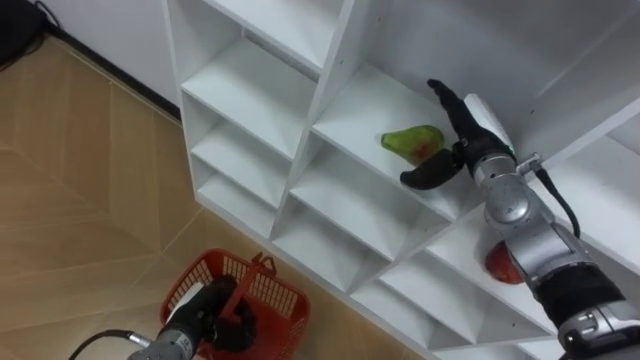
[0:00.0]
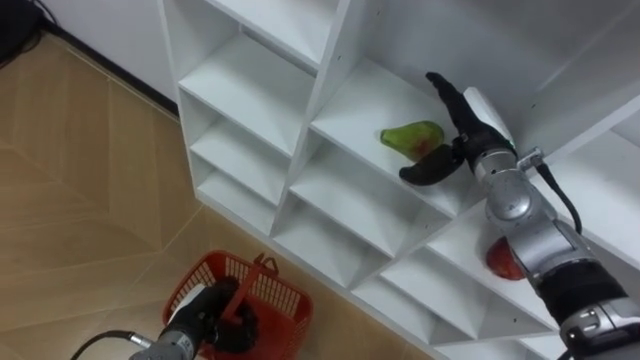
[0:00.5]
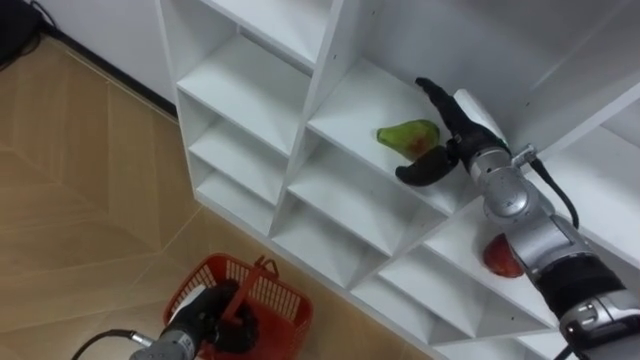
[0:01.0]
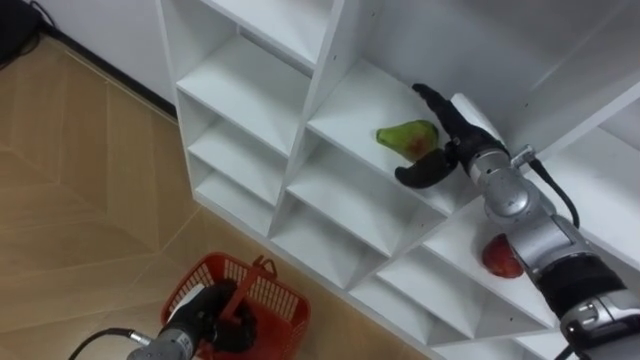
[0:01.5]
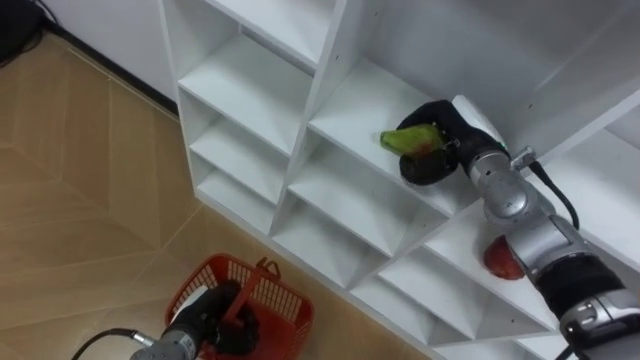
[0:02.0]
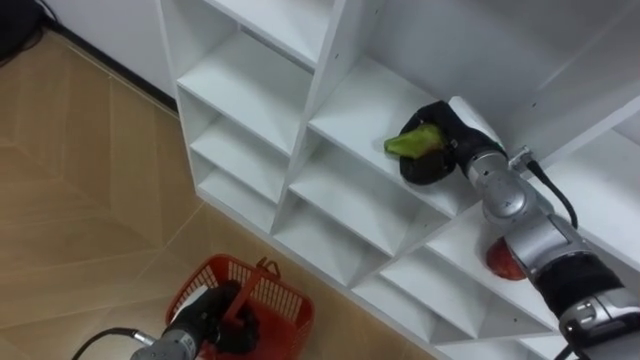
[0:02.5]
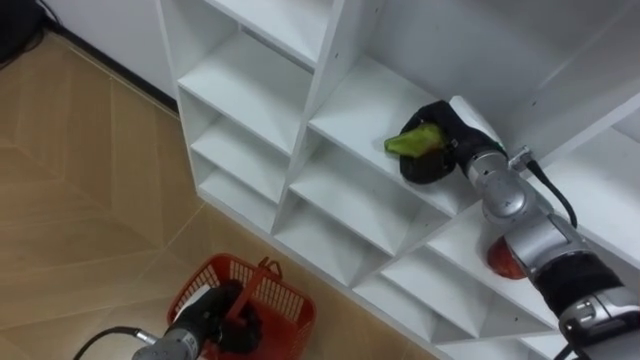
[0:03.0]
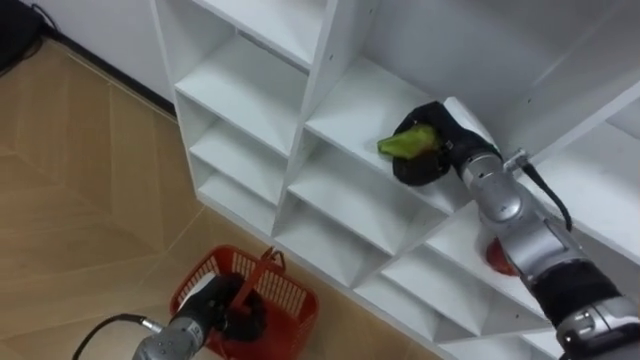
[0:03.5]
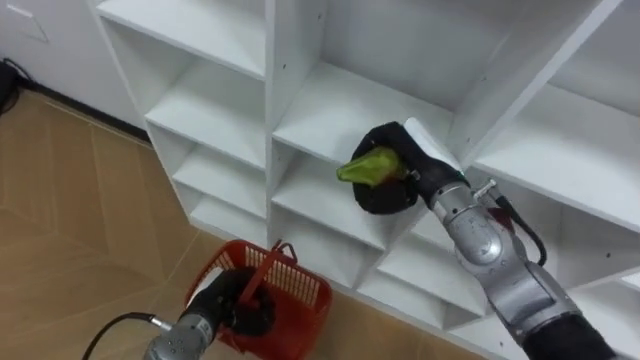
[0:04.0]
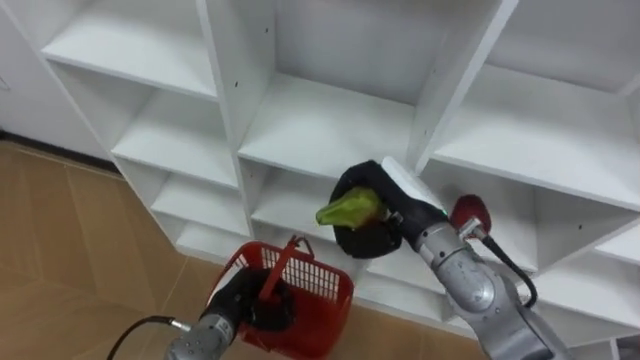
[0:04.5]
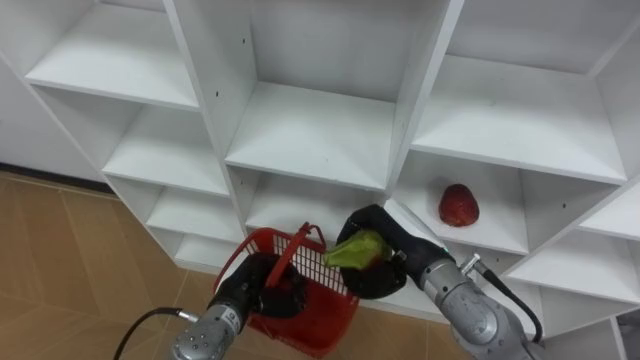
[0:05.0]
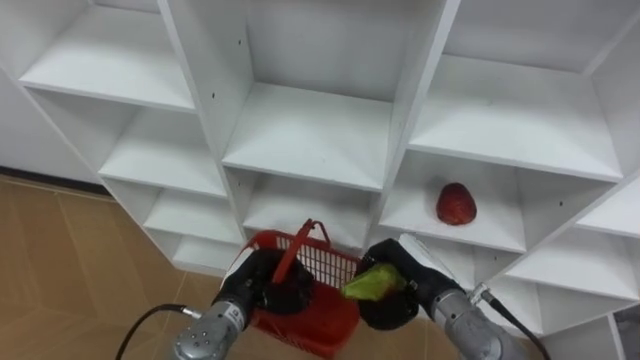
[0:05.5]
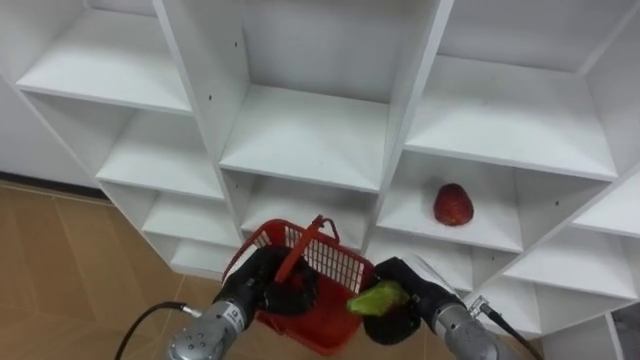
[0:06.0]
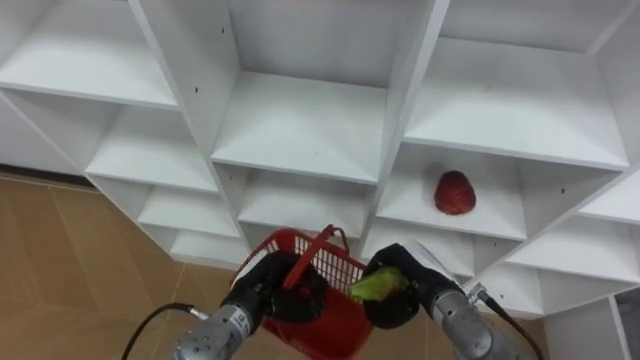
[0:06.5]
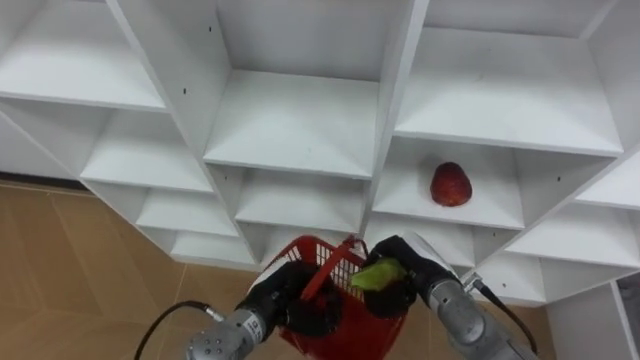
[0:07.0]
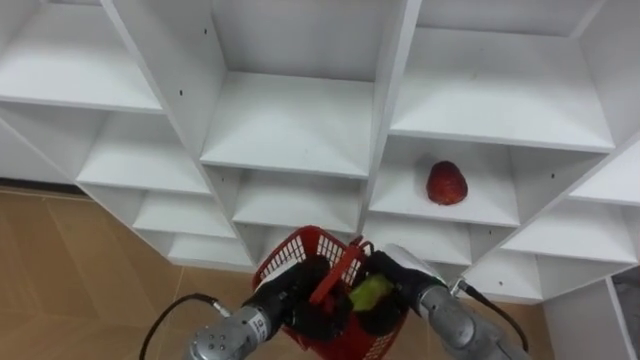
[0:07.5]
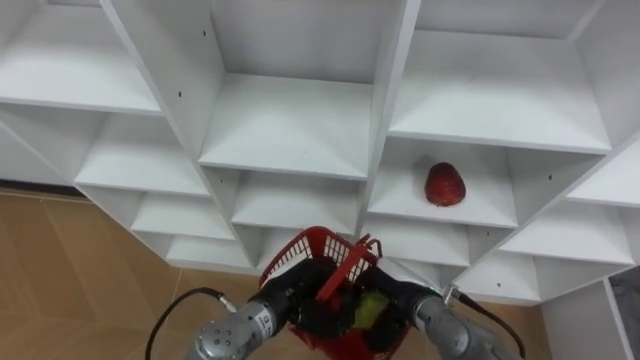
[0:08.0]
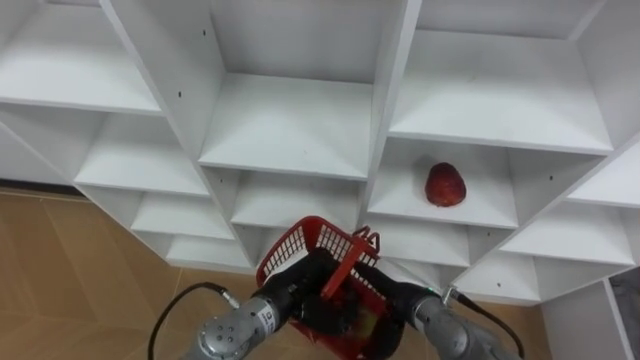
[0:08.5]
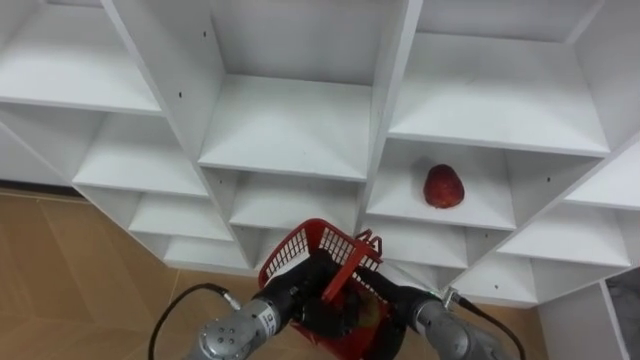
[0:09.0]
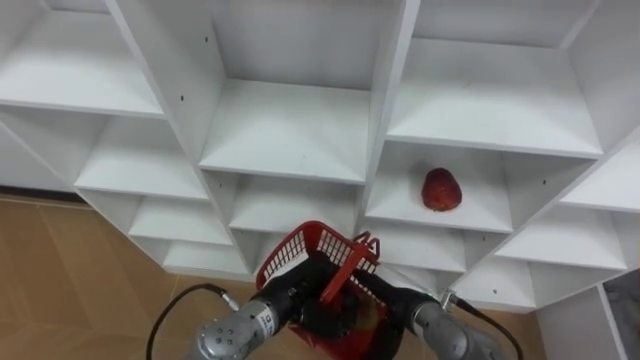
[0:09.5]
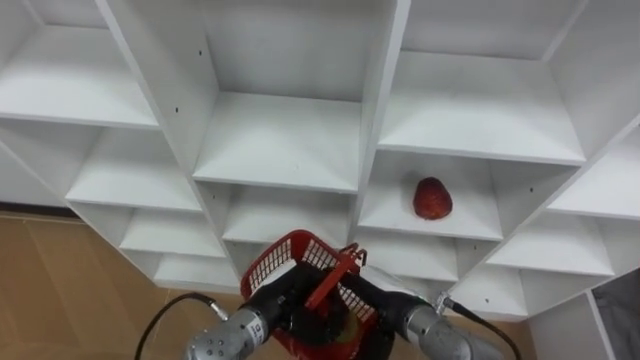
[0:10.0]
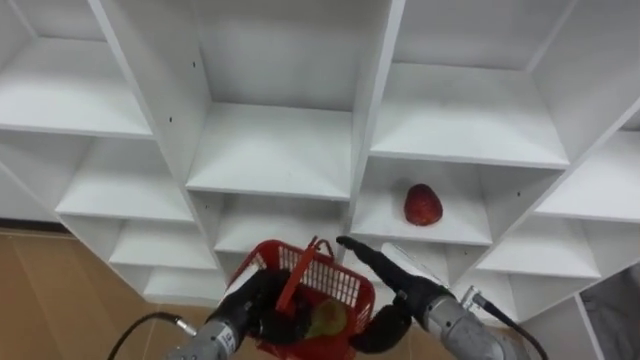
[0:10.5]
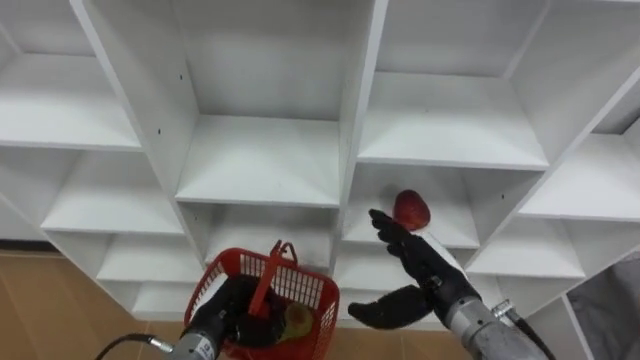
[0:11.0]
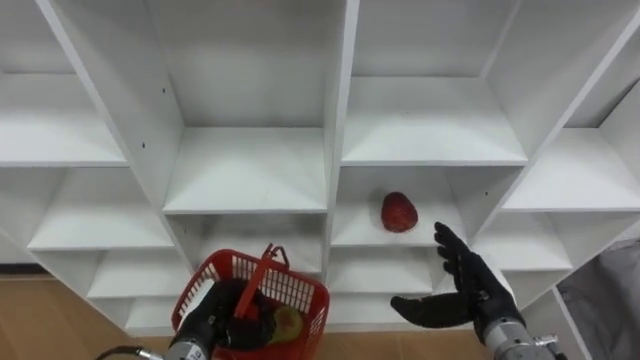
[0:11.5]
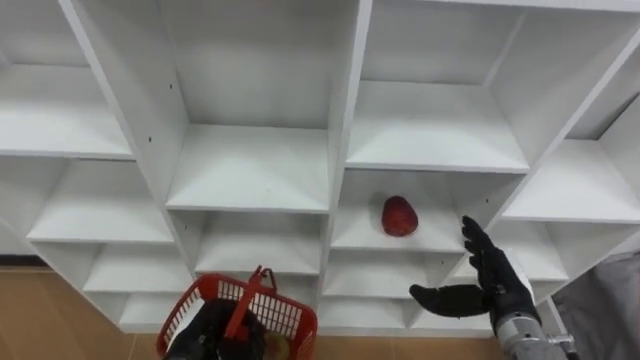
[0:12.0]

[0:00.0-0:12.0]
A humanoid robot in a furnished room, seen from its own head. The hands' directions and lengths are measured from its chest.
Task of the whole recording: Hold the basket and collect the fruits from 3 different cells of the closet into it.
0:00.0 to 0:02.0: The right hand closes its fingers.
0:02.0 to 0:04.0: The right hand goes about 5 cm to the left.
0:04.0 to 0:06.0: The left hand shifts some 5 cm to the right, while the right hand moves downward and backward, roughly 20 cm.
0:06.0 to 0:08.0: The left hand goes about 5 cm to the right.
0:08.0 to 0:10.0: The right hand opens.
0:10.0 to 0:12.0: The left hand is displaced to the left by approximately 10 cm. The right hand travels to the right by approximately 15 cm.

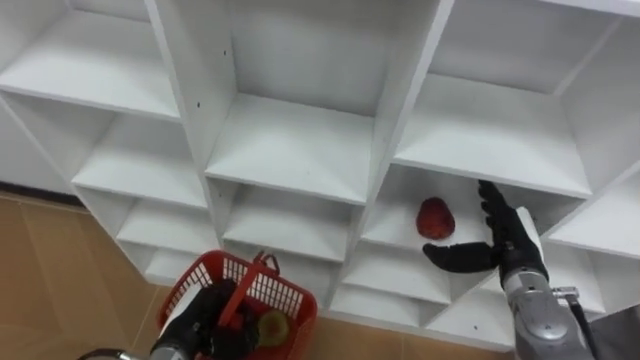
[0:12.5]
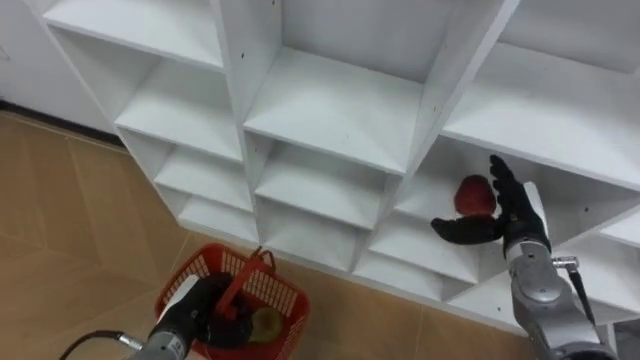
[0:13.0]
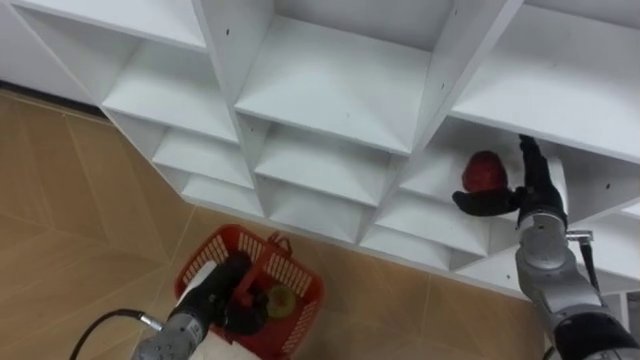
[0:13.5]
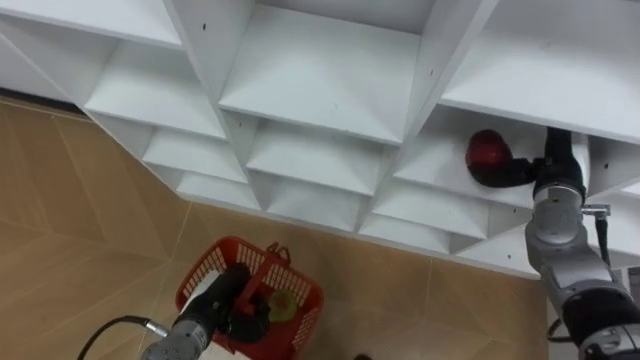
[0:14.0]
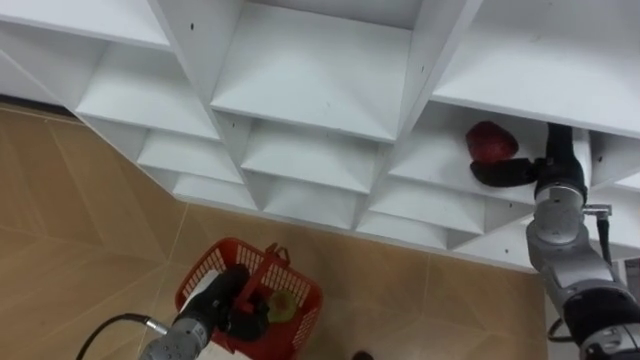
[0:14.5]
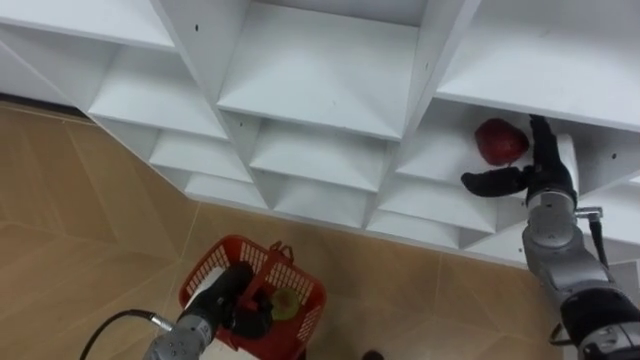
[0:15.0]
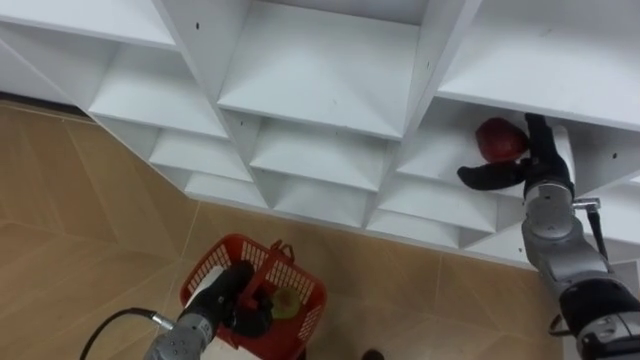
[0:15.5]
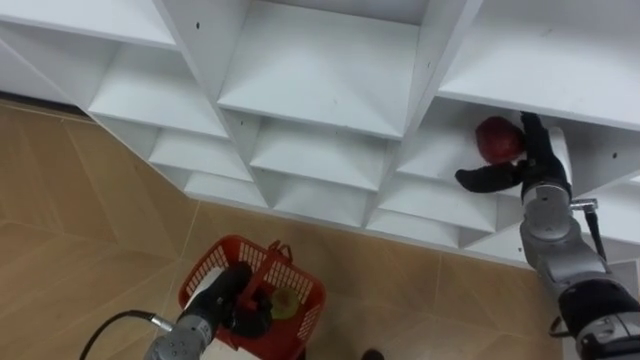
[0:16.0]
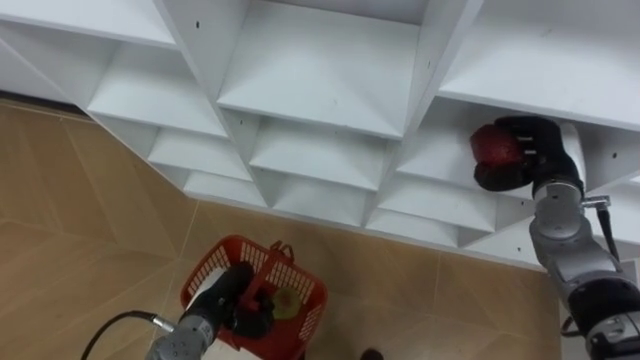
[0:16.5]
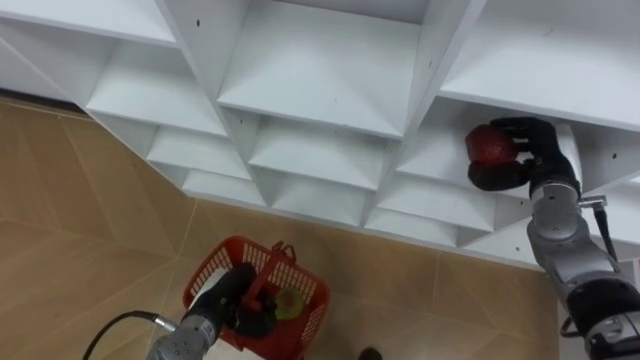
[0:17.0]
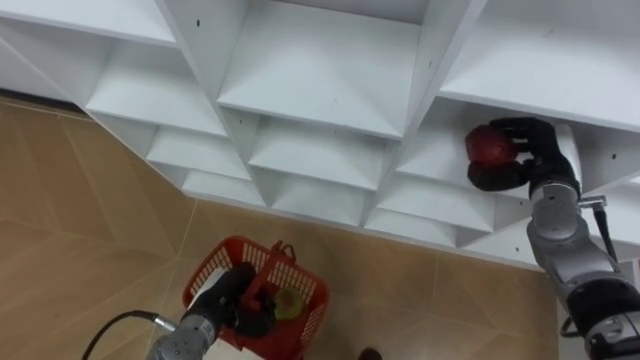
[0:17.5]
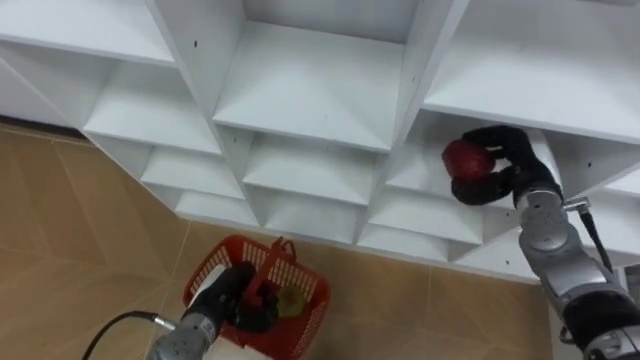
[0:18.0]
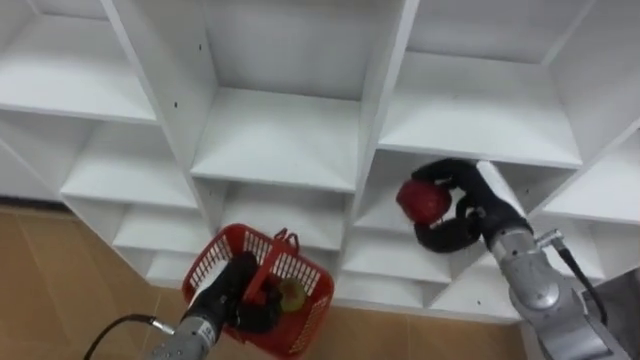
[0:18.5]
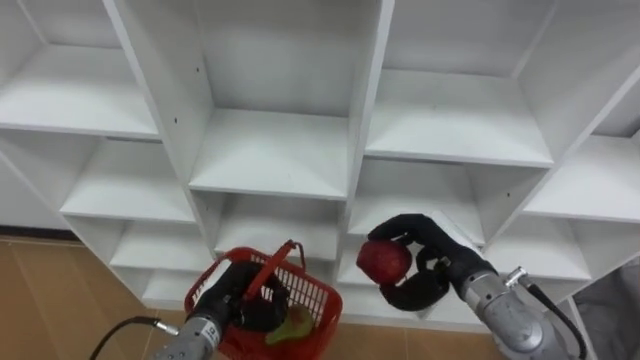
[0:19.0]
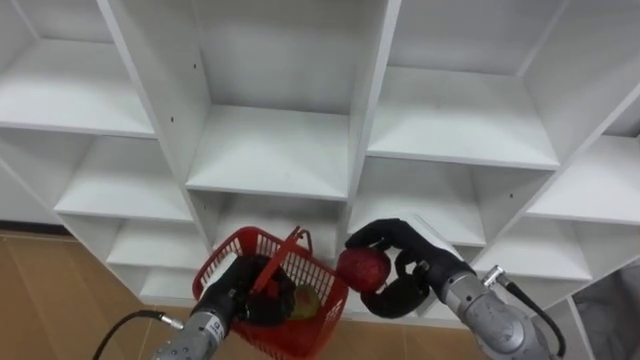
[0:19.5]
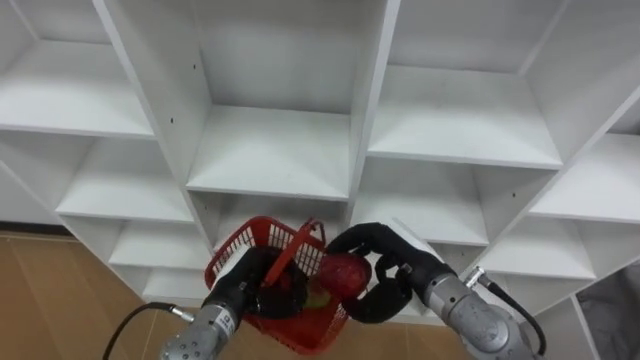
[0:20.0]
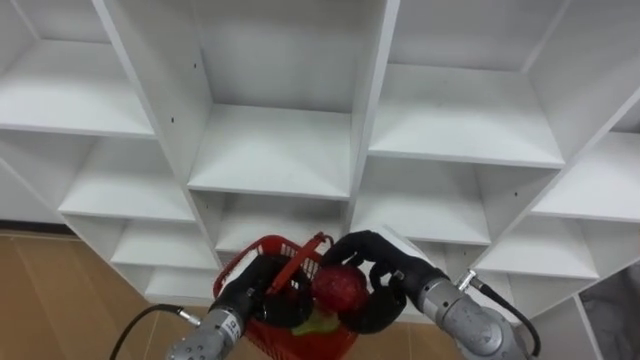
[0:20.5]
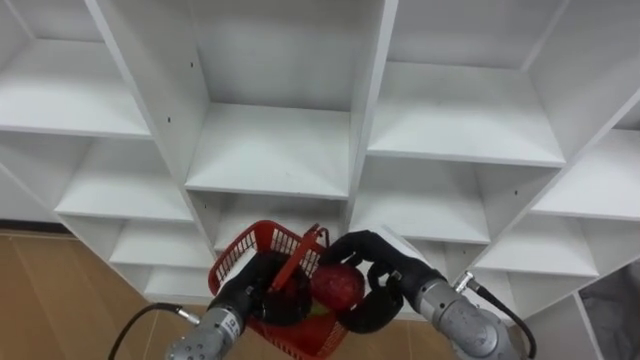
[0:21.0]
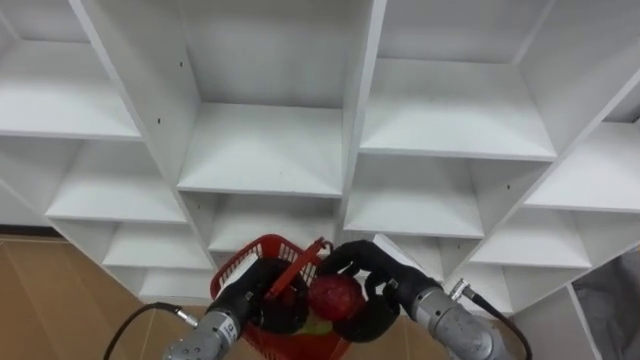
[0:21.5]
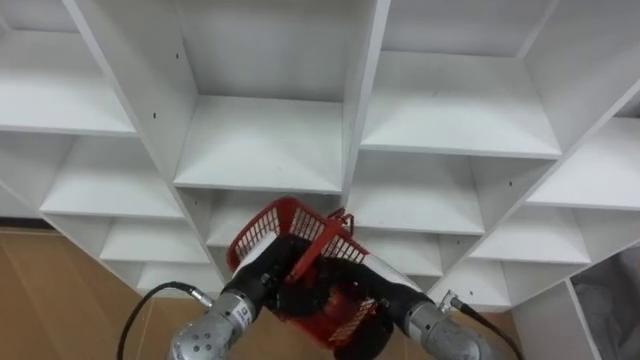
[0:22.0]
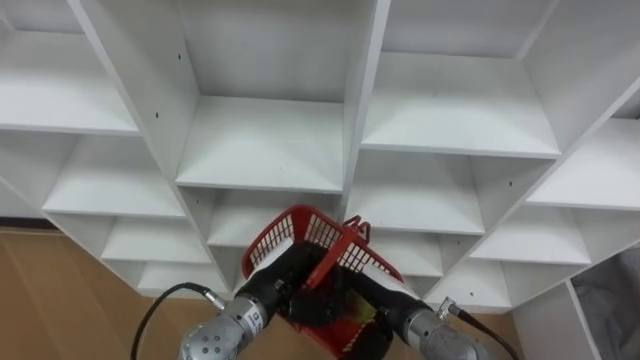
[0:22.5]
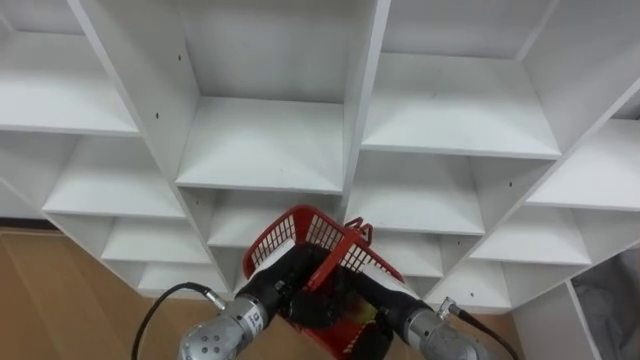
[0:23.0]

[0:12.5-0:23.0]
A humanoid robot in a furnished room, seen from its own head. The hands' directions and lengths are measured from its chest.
Task of the whole recording: Hold the basket and collect the fruits from 3 different cells of the closet into it.
0:12.5 to 0:14.5: The right hand travels forward, upward and to the right by roughly 10 cm.
0:14.5 to 0:16.5: The right hand closes up.
0:16.5 to 0:19.0: The right hand is displaced to the left, backward and downward by roughly 15 cm.
0:19.0 to 0:21.0: The right hand goes about 5 cm to the left.
0:21.0 to 0:23.0: The left hand ends up about 5 cm from where it was. The right hand changes place by some 5 cm, and opens.
